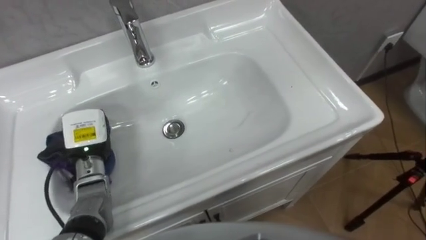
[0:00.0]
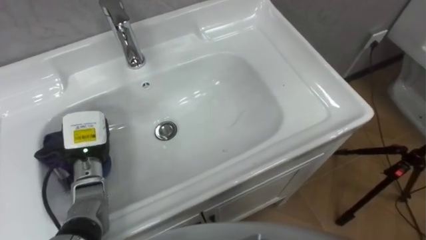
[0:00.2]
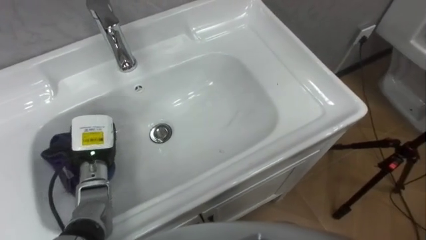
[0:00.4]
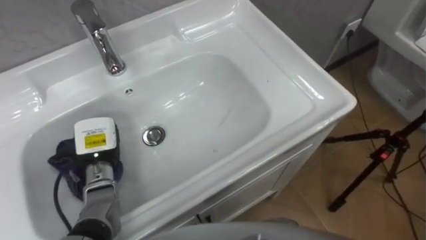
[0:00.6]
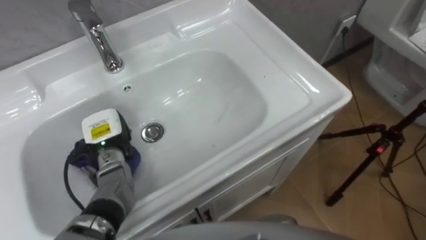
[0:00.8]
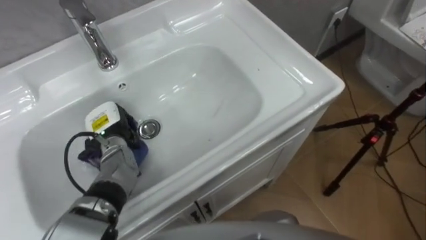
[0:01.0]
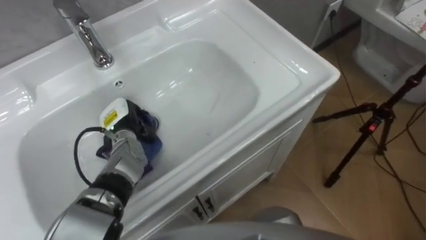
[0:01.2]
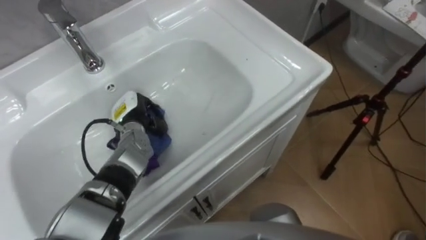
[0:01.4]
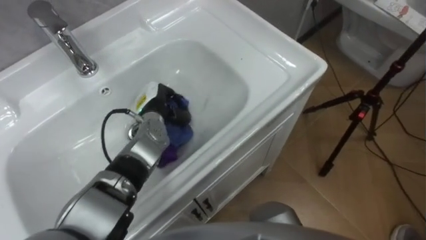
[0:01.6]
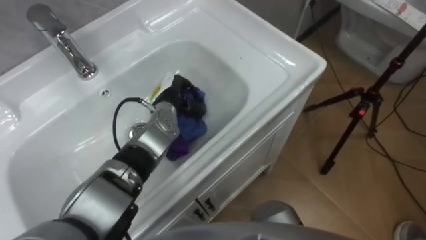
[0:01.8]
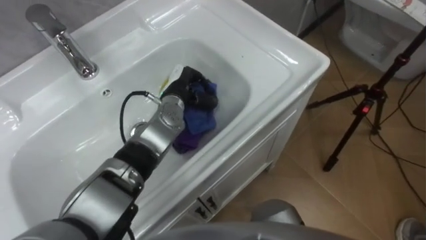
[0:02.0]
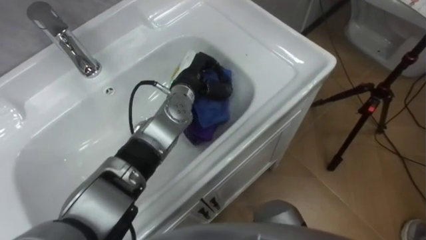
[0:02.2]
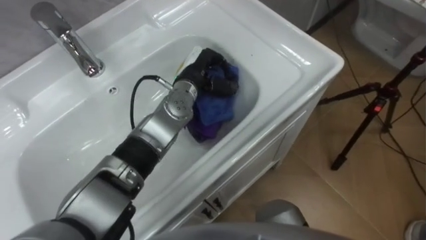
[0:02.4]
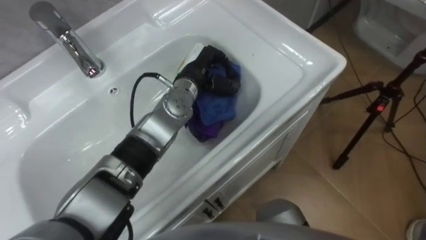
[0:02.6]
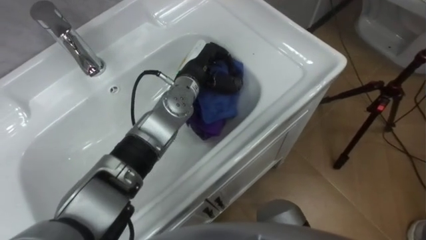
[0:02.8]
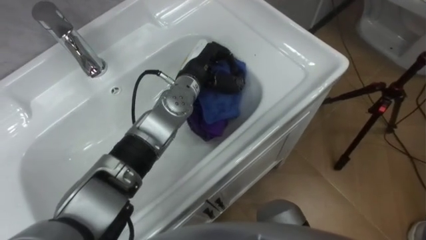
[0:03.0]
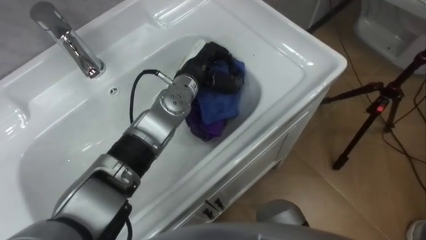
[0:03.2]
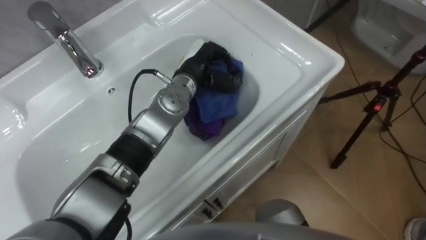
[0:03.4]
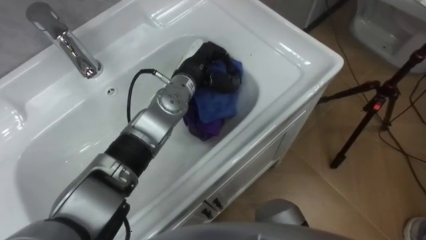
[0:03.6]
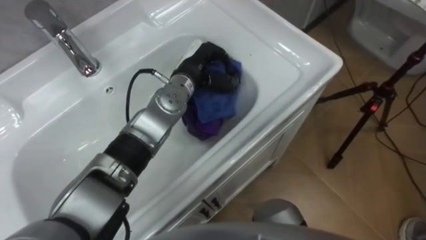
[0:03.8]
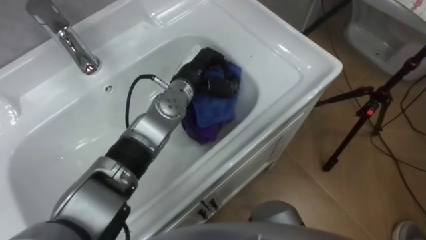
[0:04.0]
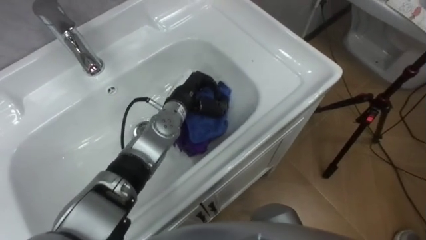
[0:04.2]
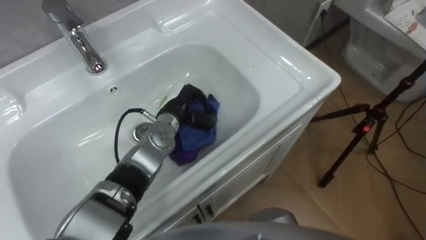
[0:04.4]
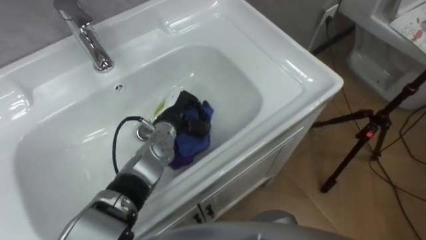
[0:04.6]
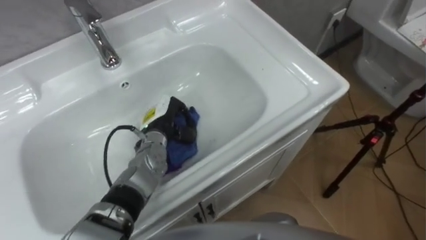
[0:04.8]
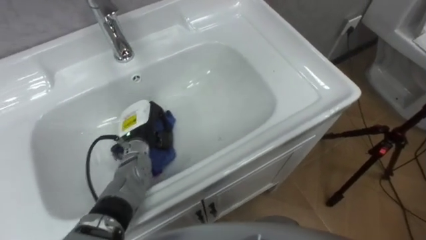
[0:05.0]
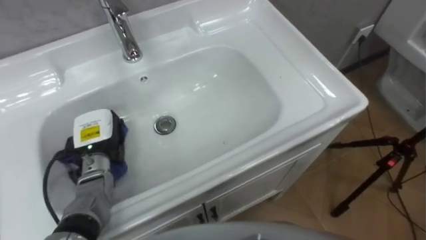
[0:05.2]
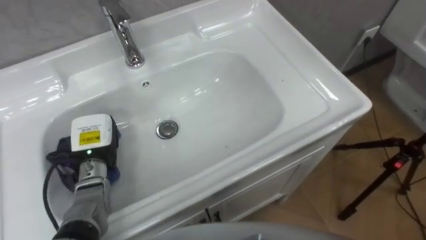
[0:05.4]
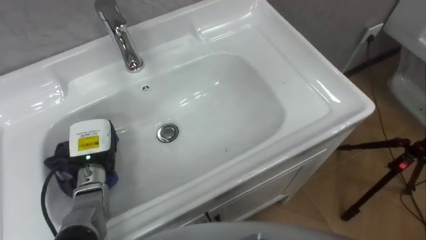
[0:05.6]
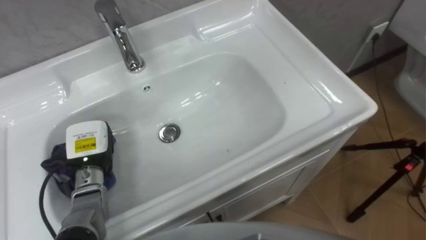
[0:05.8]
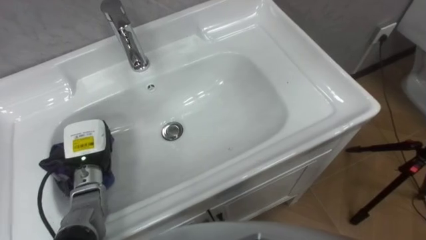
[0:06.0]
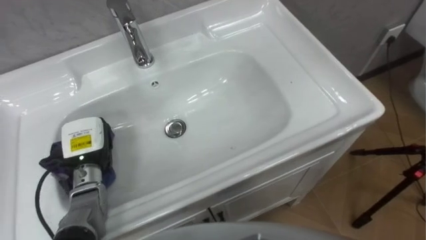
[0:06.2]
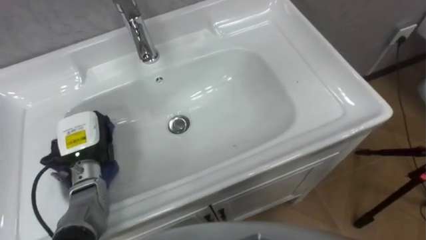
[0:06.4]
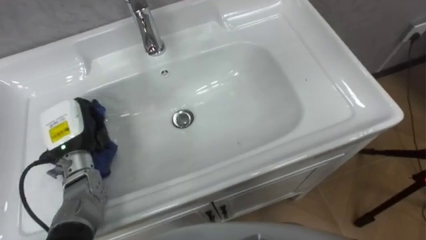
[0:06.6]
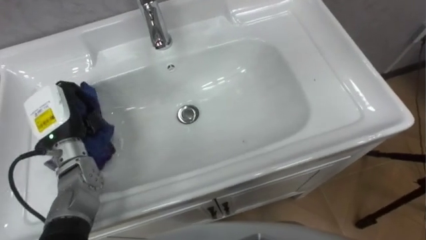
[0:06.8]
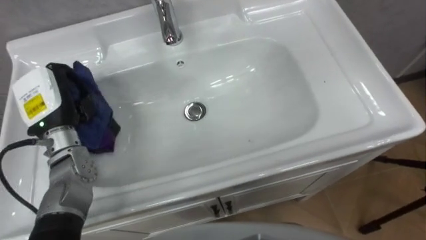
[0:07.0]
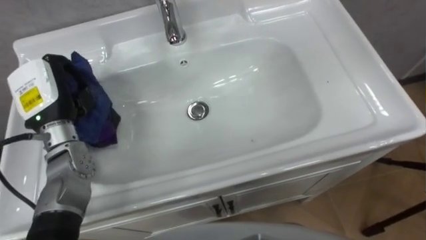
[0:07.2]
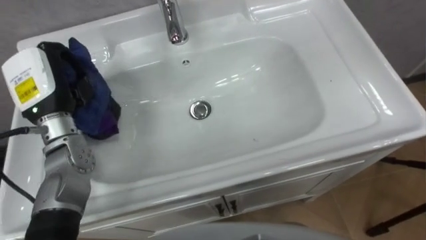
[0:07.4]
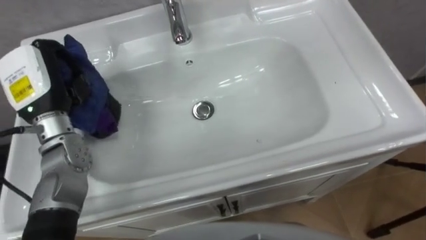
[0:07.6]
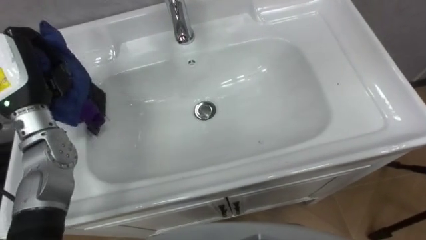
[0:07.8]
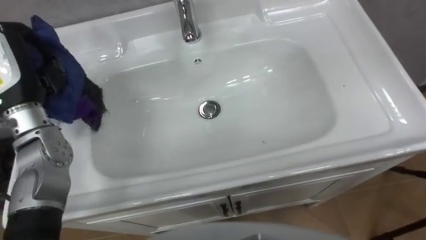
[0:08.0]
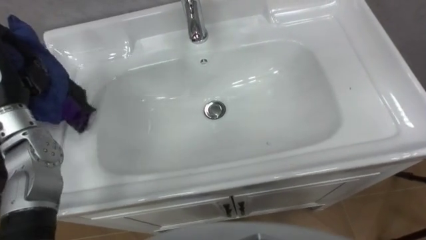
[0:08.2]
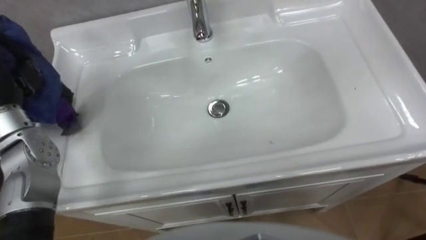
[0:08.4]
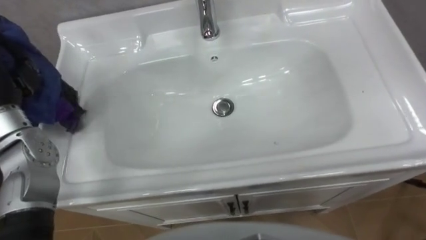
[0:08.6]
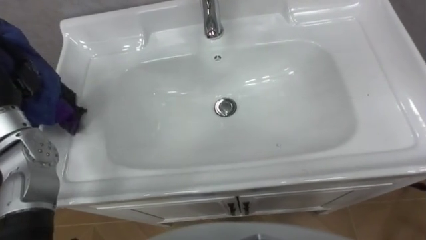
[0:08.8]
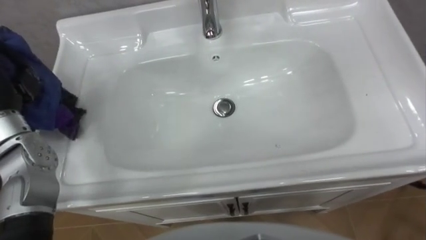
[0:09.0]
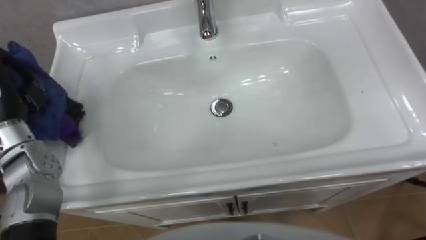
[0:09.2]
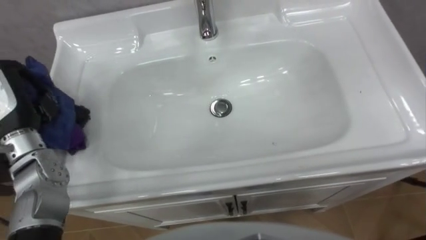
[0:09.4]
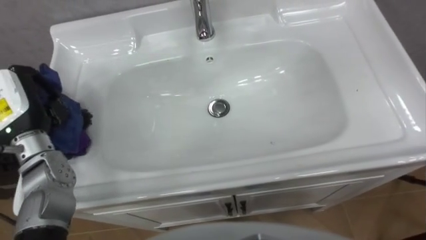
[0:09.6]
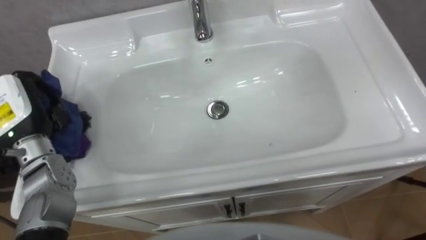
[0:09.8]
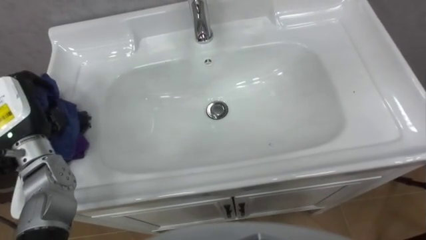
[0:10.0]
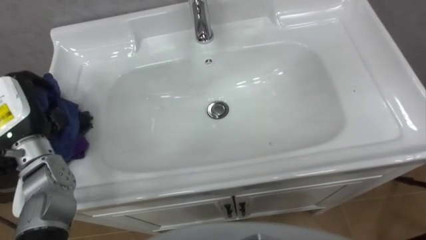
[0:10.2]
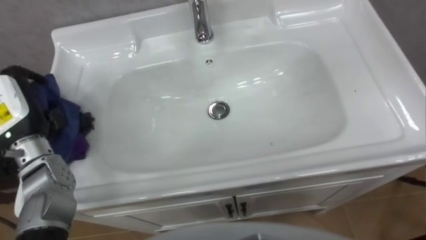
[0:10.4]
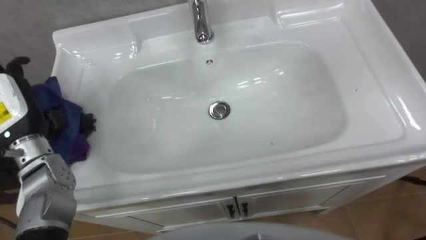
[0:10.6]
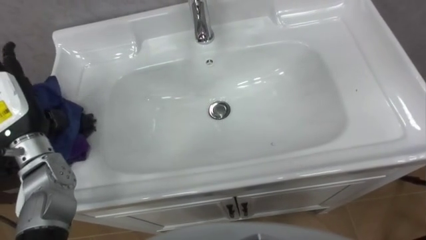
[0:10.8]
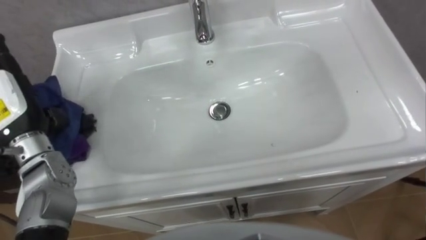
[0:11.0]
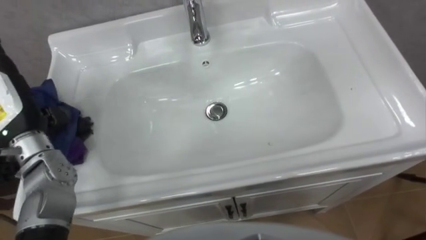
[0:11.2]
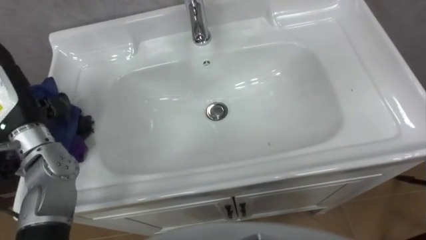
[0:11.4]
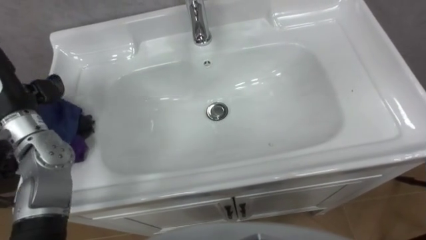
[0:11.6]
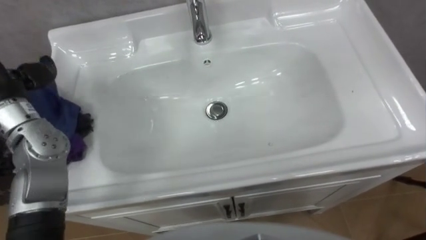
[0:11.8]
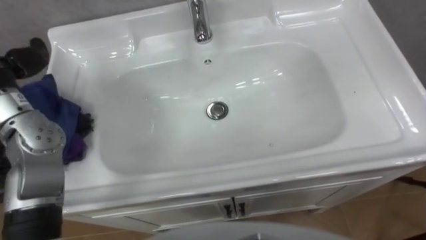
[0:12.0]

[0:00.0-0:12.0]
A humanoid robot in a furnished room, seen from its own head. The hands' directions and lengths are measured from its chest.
Task of the whole recording: Use the cloth on the right to wipe away the black stain in the sink.
0:00.0 to 0:01.6: The left hand goes some 15 cm to the right and forward.
0:01.6 to 0:03.0: The left hand is displaced to the right and upward by about 15 cm.
0:03.0 to 0:04.4: The left hand travels downward and to the left by about 10 cm.
0:04.4 to 0:06.0: The left hand moves to the left and backward, approximately 20 cm.
0:06.0 to 0:07.6: The left hand goes some 15 cm upward.

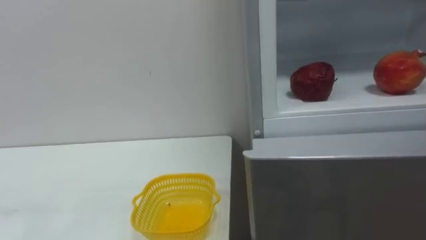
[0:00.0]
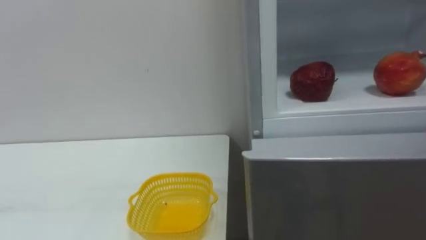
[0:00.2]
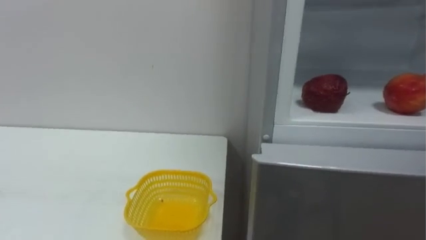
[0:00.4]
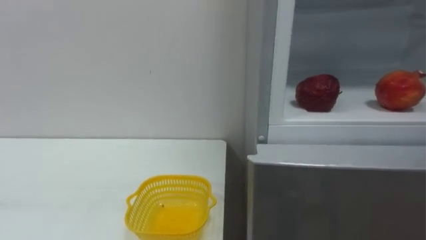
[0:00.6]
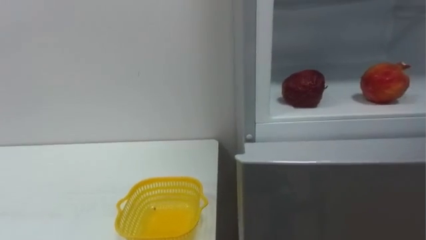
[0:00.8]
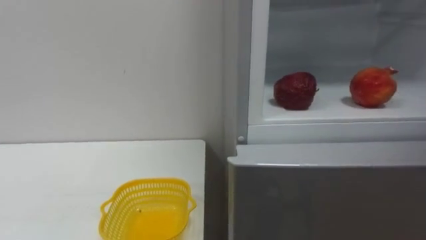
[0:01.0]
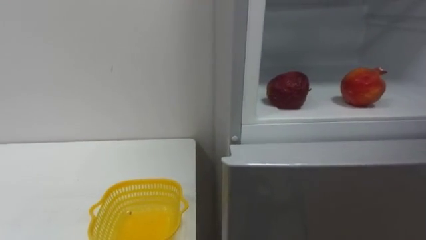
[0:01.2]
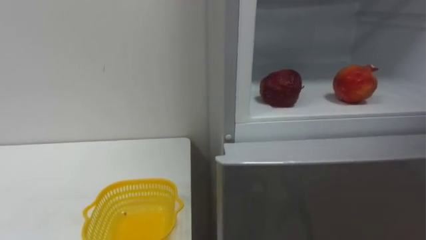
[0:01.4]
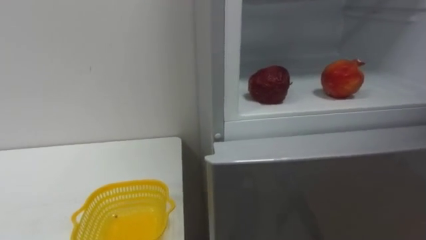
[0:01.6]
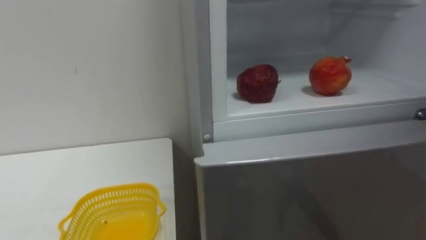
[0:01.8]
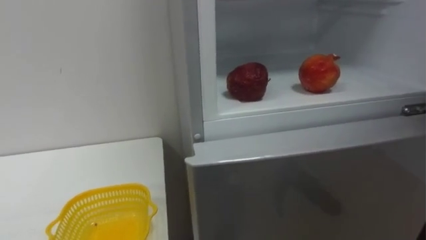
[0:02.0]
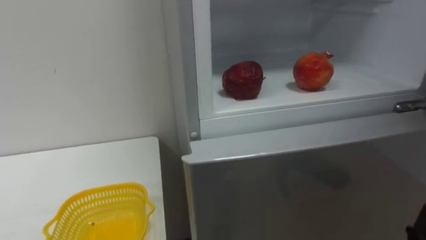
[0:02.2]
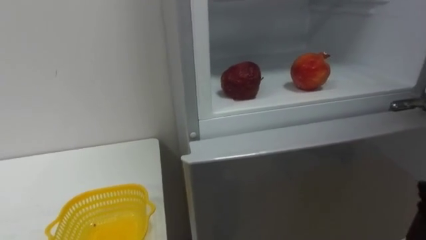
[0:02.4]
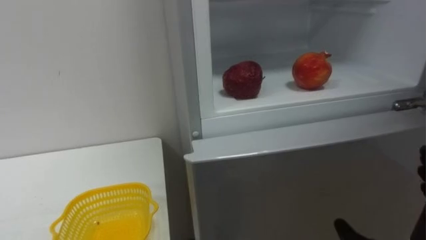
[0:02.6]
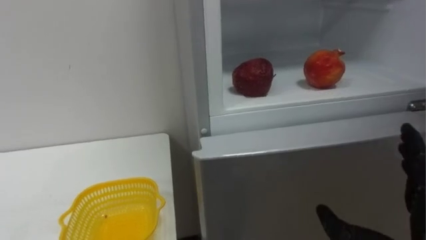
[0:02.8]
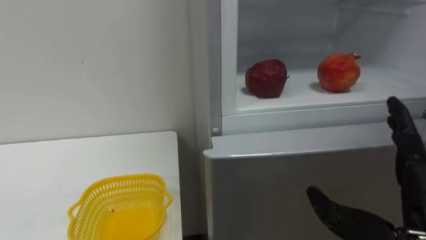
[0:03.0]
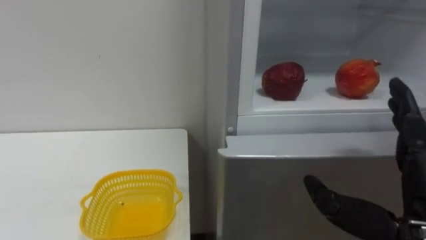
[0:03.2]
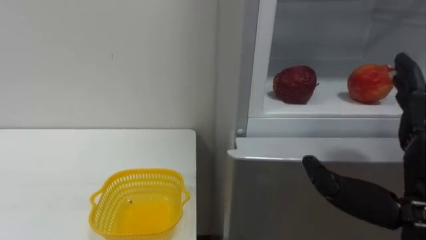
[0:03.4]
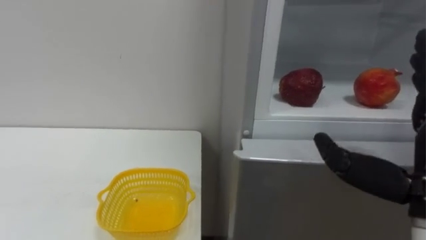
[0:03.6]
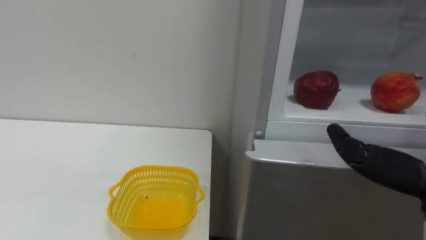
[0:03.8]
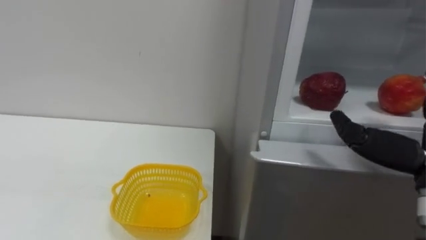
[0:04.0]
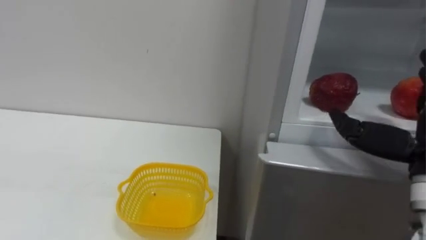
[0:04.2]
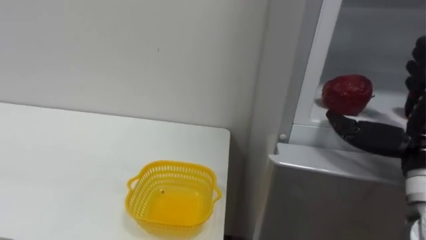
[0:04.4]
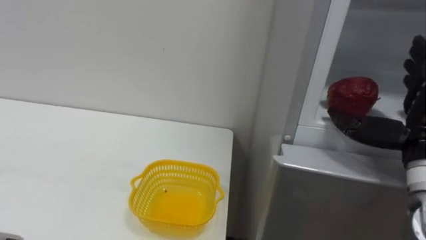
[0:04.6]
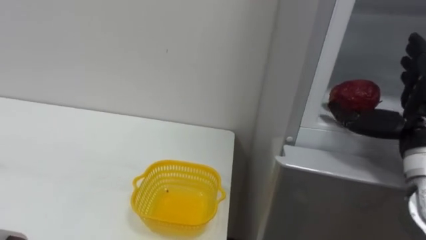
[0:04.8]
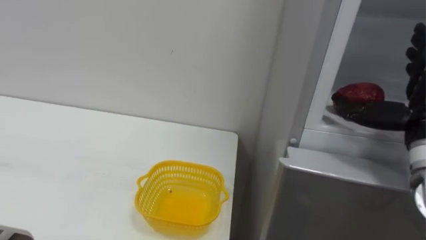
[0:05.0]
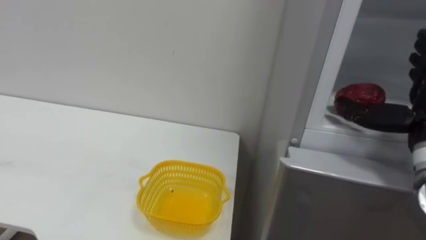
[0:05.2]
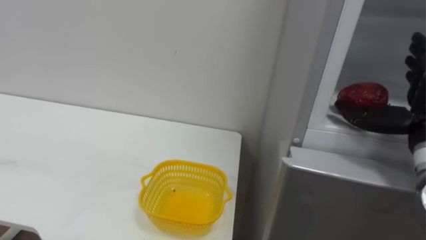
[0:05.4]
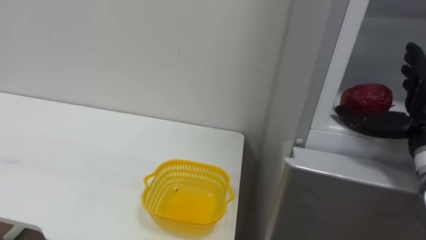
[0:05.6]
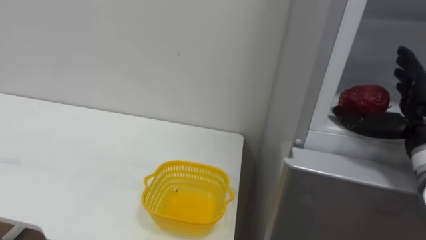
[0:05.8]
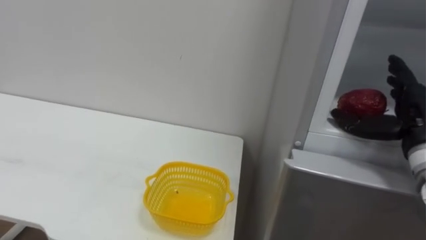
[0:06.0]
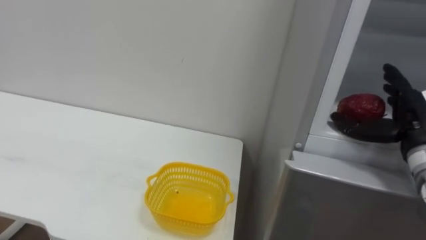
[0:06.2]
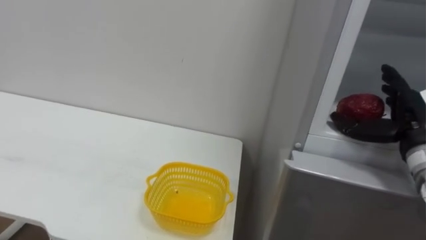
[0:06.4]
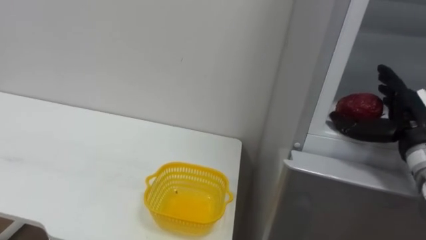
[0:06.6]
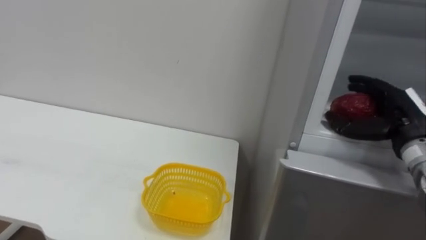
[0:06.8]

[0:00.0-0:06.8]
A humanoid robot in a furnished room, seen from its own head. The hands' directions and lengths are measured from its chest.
Task of the whole recording: Open the refrigerator door, take out the apple and the pomegranate, place them in the fruit basket on the left, and close the refrigerator door.
0:05.4 to 0:06.8: The right hand shifts by roughly 5 cm.
